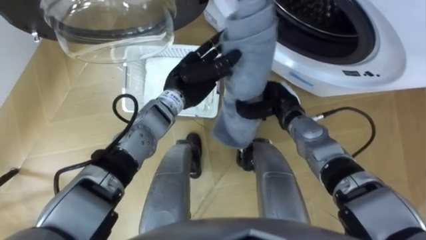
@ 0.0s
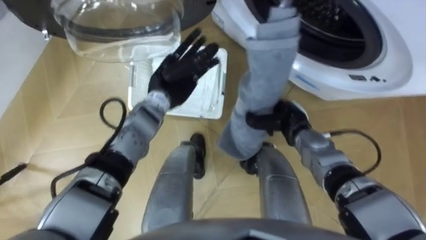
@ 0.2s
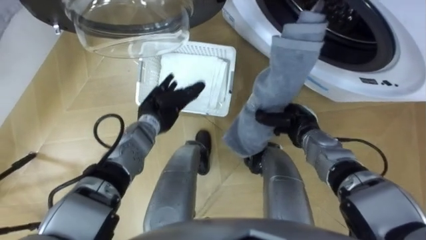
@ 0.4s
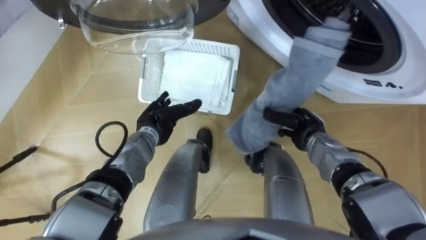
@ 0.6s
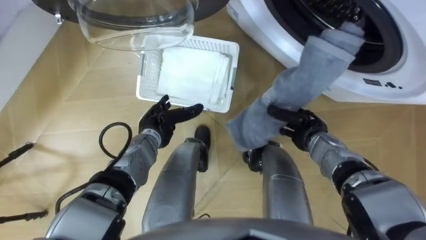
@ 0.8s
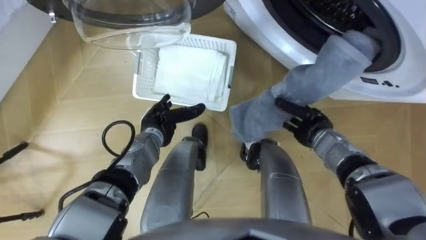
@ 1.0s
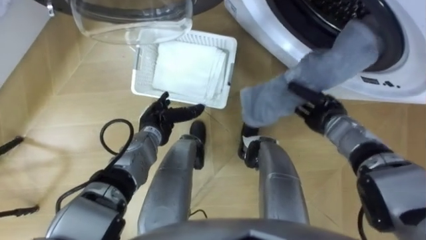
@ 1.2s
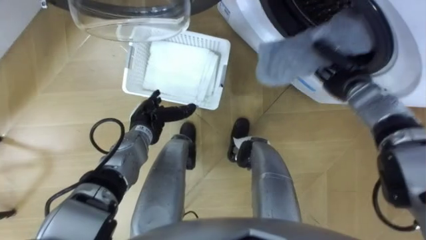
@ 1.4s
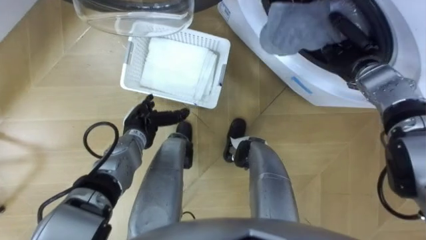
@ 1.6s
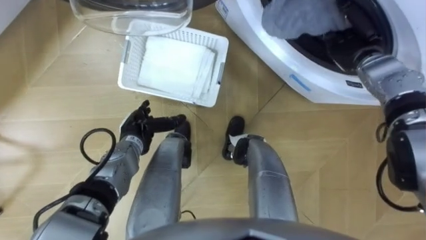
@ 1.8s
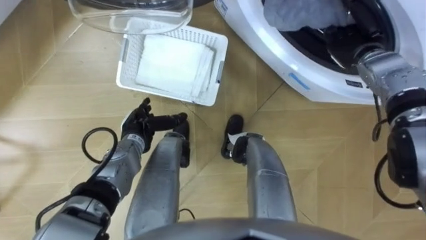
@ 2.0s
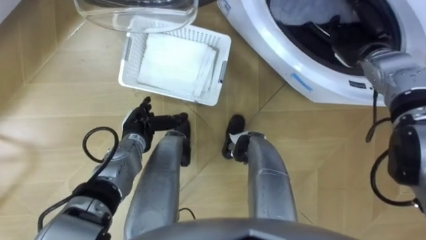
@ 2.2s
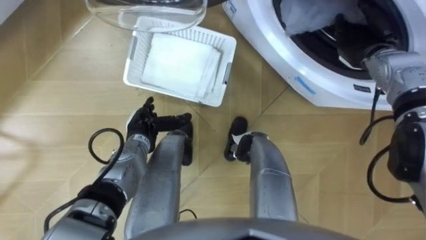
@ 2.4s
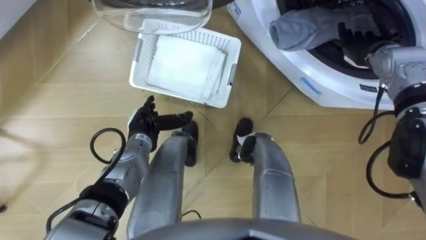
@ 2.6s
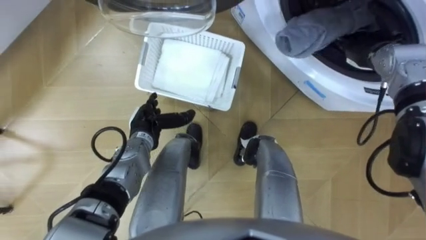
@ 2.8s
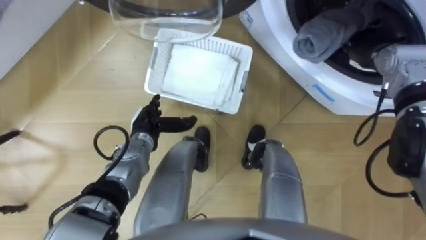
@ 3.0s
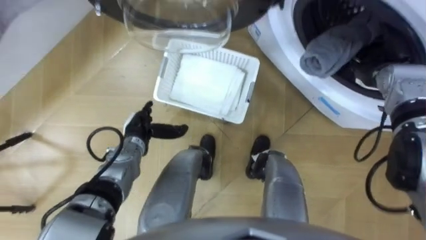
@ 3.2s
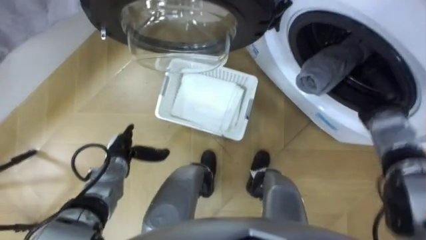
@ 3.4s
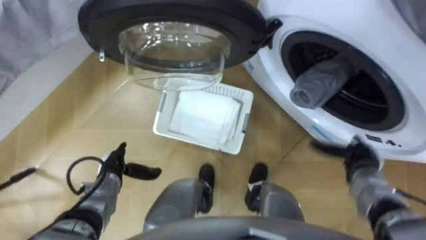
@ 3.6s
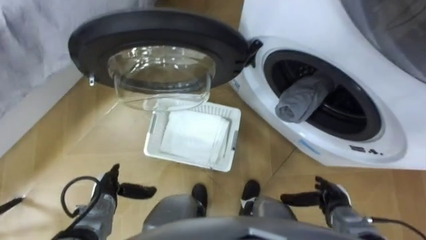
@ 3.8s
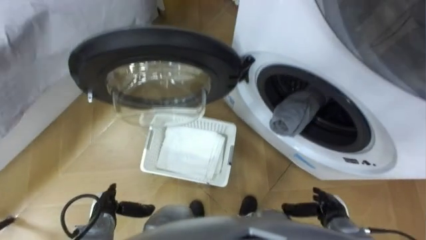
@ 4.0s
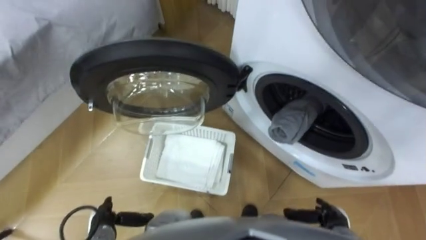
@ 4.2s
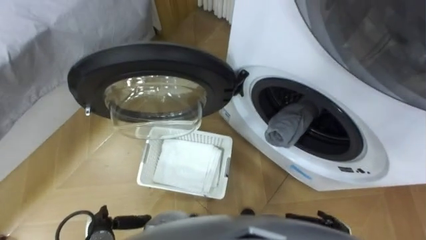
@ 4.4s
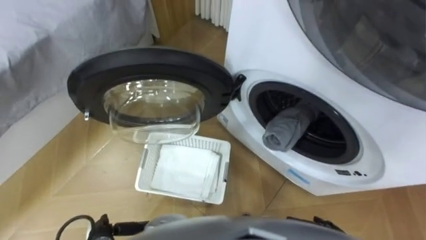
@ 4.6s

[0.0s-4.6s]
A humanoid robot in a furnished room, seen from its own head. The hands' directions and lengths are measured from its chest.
Task of the whole recording: Take the towel from the basket and put it into the washing machine.
0.0s to 1.6s: The right hand goes about 20 cm to the right, upward and forward. Meanwhile the left hand is displaced to the left, downward and backward by some 15 cm, and opens.
1.6s to 3.0s: The right hand opens.
3.0s to 4.6s: The left hand is displaced backward and to the left by approximately 25 cm.
